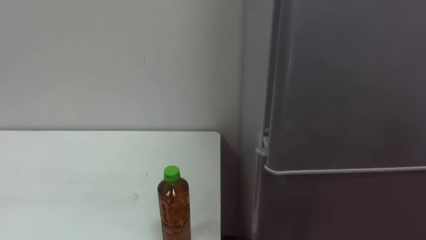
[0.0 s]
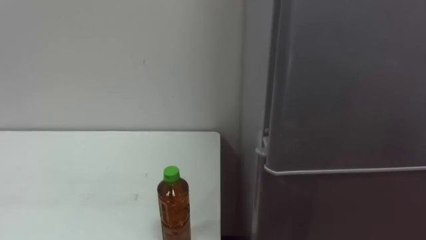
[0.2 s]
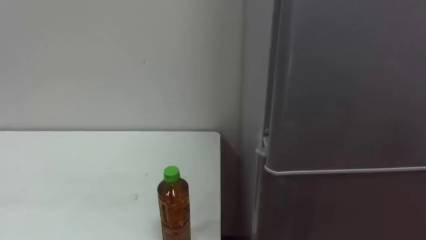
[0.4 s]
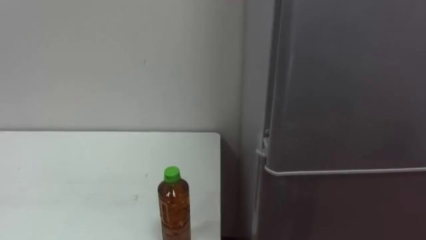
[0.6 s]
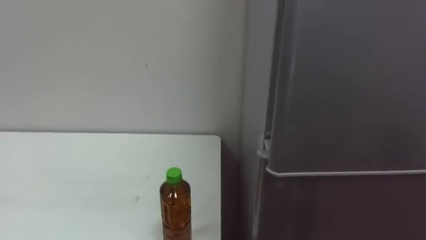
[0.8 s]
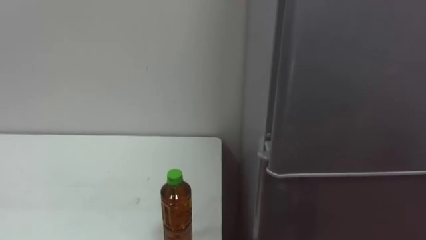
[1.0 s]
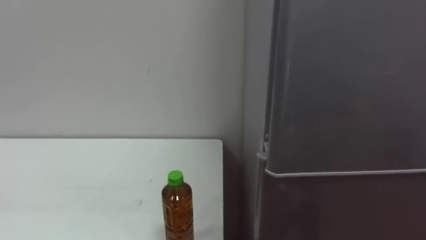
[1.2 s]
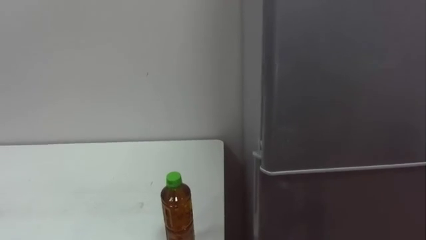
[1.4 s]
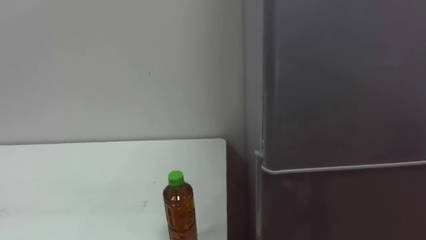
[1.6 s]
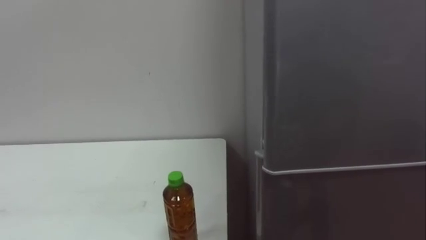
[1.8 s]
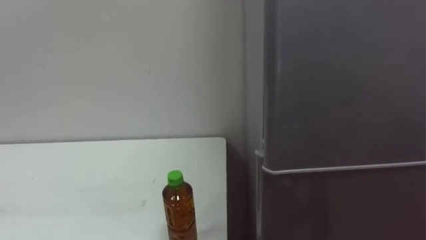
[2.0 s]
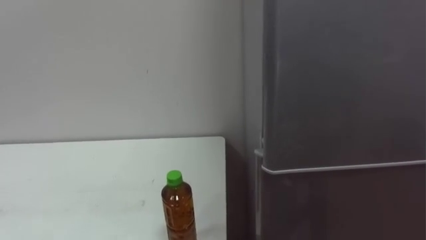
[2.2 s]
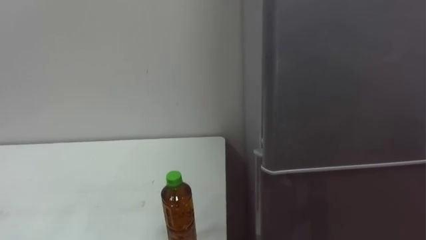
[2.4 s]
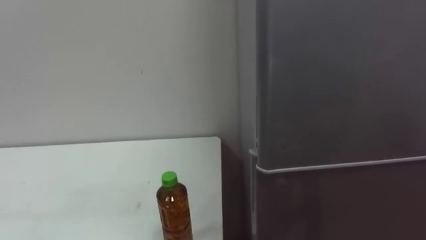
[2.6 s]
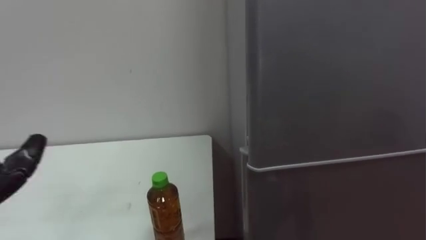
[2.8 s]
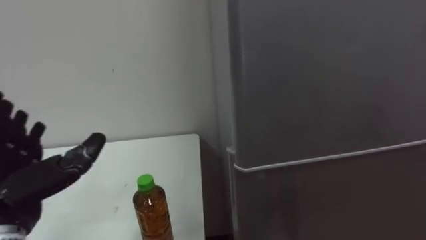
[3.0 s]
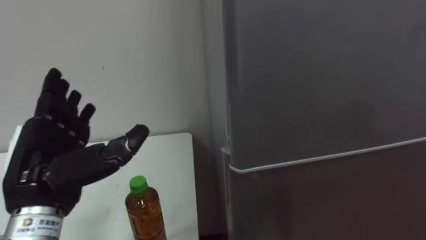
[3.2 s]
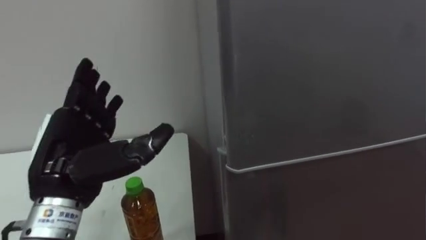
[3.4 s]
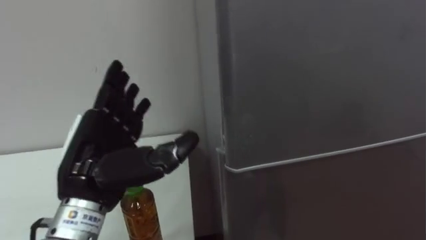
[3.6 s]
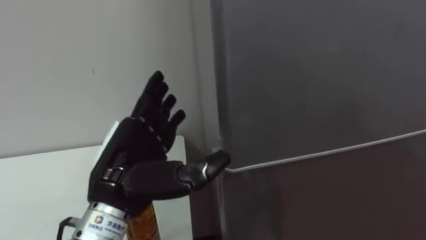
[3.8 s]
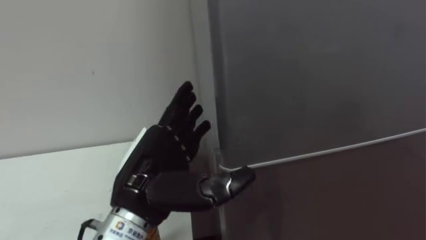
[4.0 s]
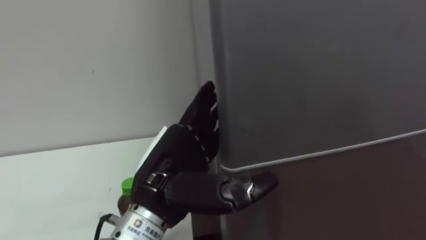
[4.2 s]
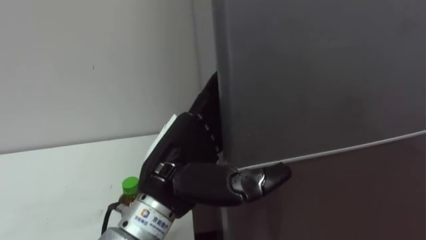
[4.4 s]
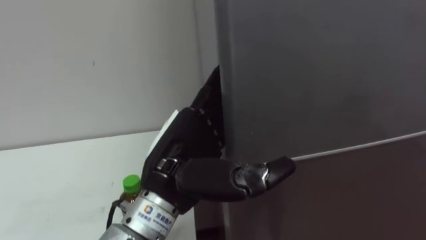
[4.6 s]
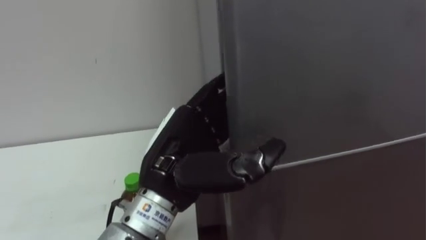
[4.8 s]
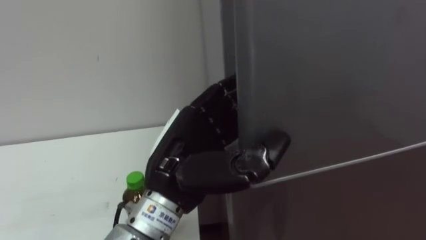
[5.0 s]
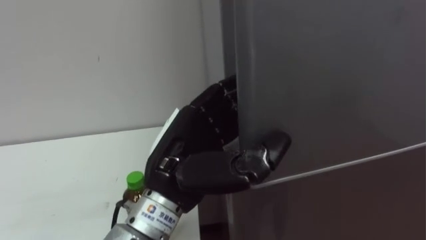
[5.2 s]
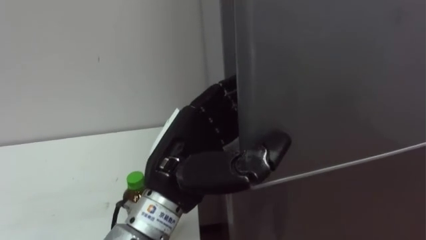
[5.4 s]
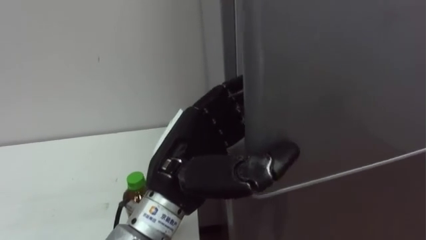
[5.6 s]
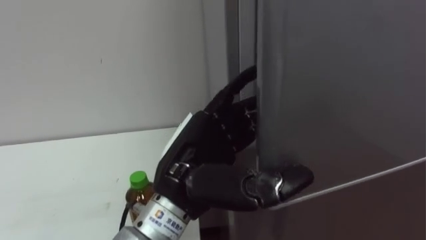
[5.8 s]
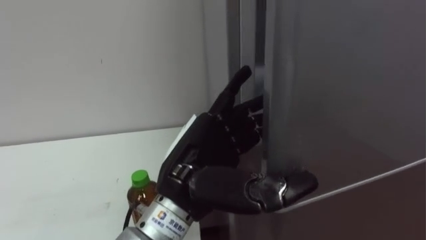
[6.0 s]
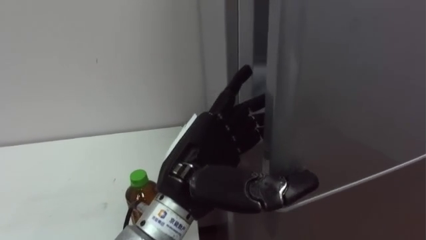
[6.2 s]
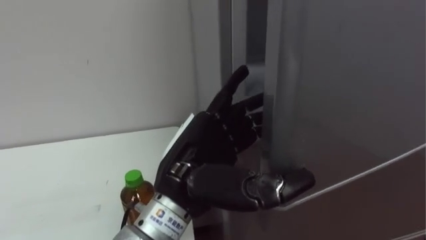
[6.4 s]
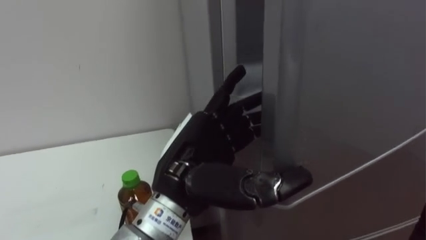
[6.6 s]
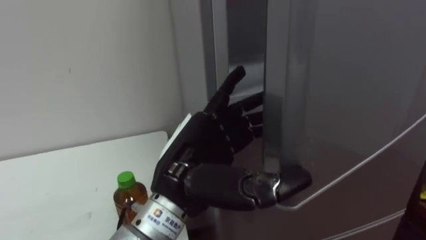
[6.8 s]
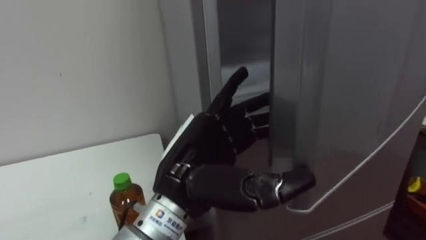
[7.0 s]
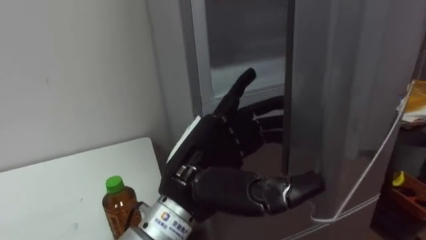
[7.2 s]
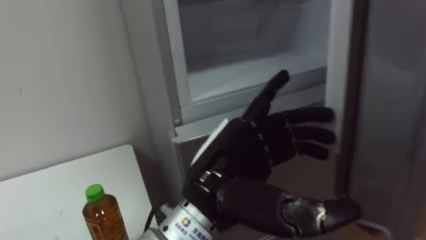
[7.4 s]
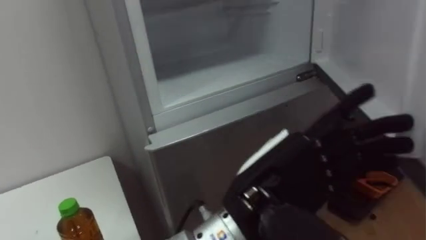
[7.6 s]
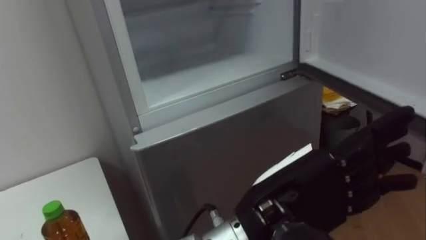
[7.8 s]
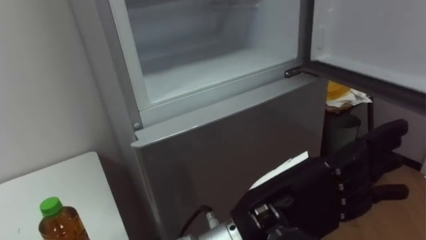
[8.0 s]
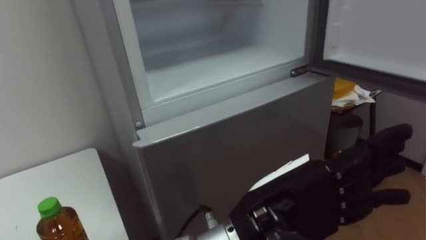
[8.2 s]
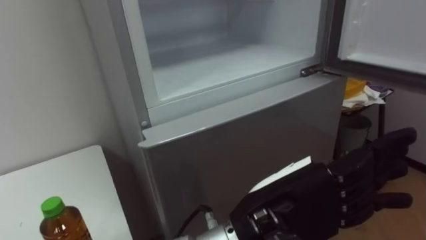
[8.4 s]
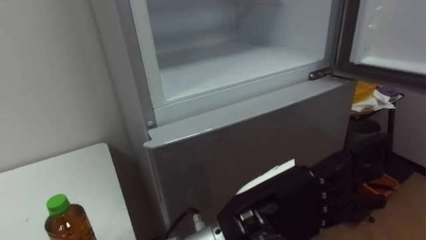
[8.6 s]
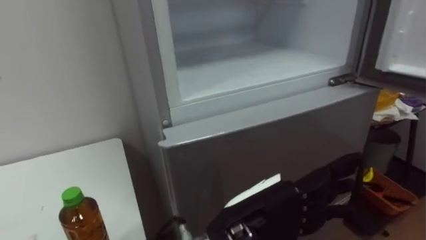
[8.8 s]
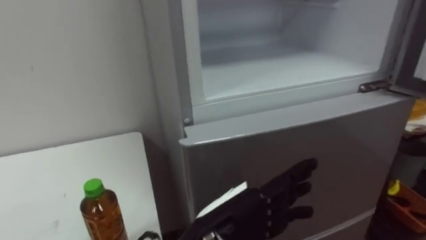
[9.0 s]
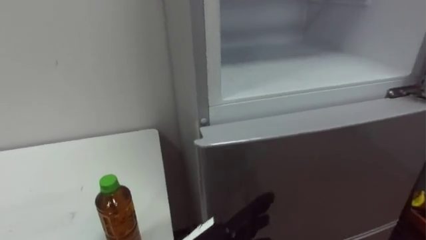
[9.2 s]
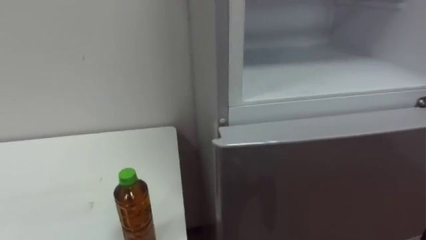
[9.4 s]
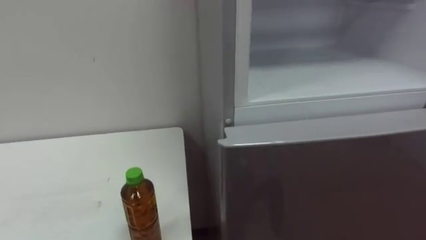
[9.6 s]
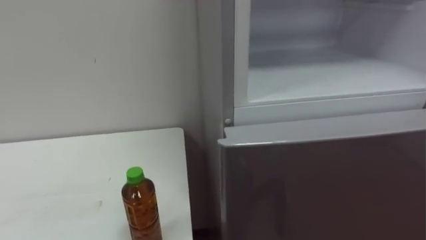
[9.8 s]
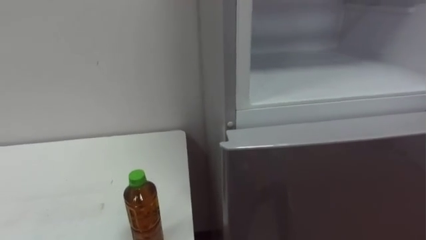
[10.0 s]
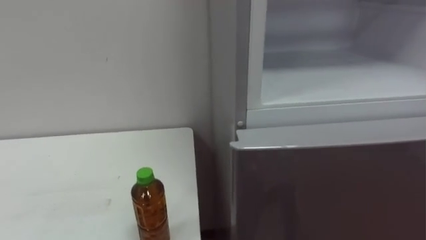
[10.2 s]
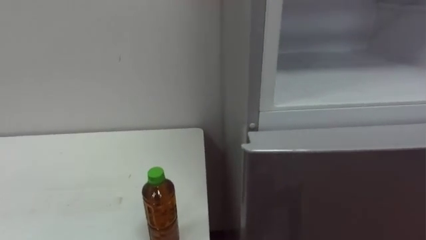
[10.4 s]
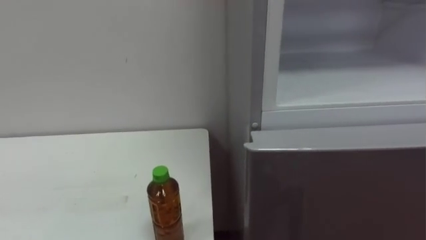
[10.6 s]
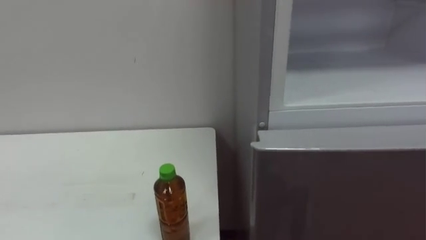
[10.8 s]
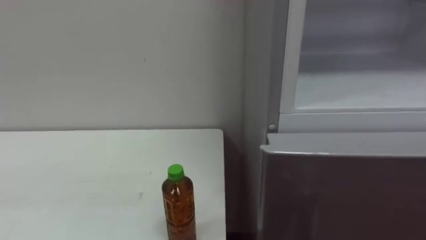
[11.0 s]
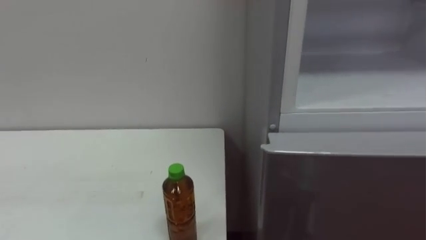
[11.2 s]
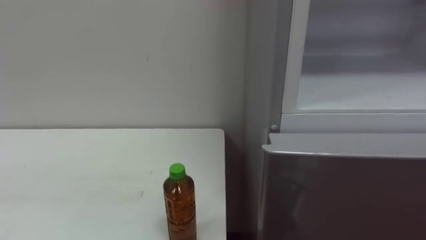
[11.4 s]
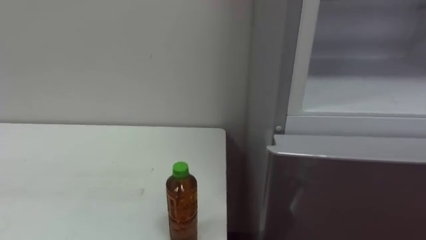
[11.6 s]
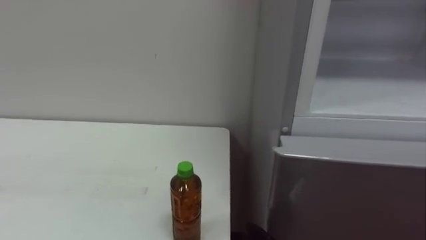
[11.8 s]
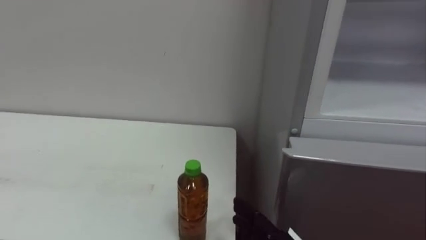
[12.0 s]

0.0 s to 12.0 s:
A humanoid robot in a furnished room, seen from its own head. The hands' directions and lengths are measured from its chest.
Task of the whole recording: Open the upper refrigerator door, put the drink from the table into the refrigerator, and then close the refrigerator door.
4.4 to 6.0 s: The left hand closes, then reopens.
6.0 to 7.6 s: The left hand goes roughly 5 cm to the right.
7.6 to 9.0 s: The left hand travels downward by about 10 cm.

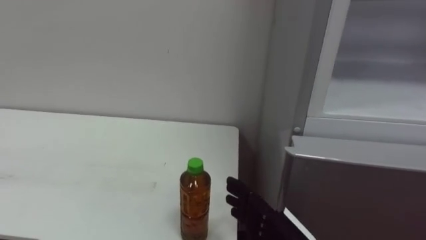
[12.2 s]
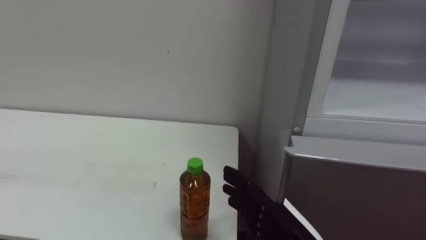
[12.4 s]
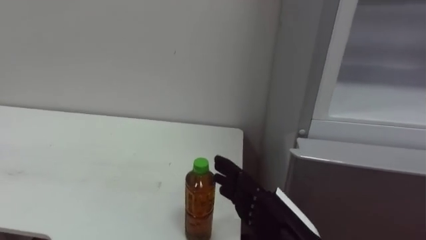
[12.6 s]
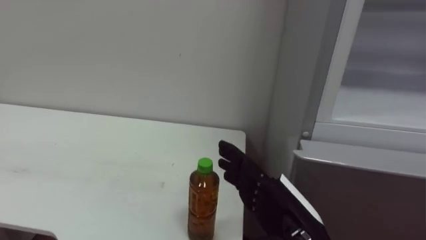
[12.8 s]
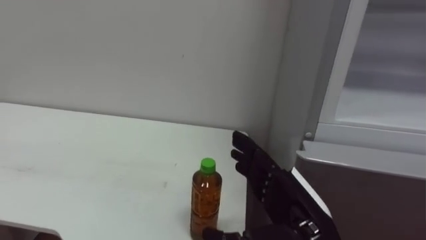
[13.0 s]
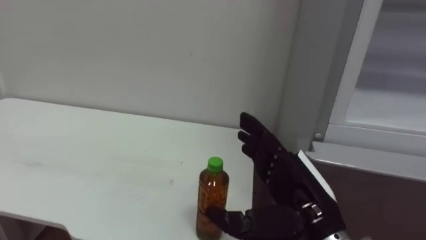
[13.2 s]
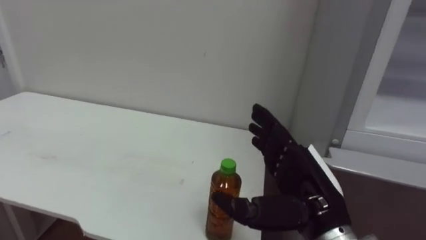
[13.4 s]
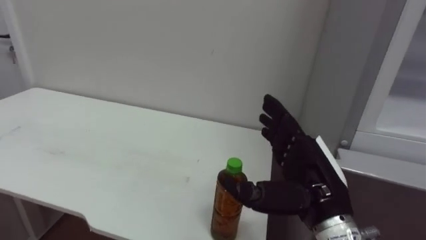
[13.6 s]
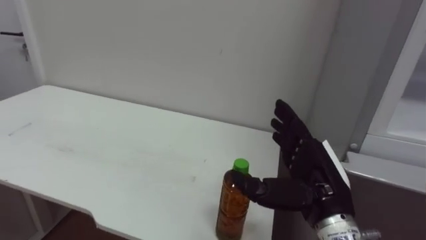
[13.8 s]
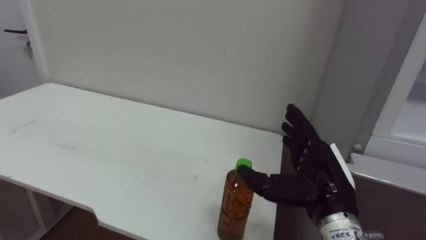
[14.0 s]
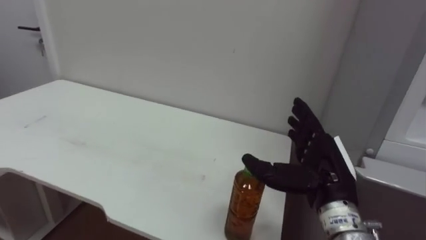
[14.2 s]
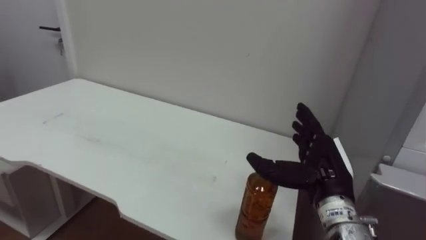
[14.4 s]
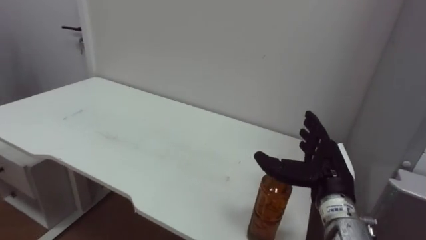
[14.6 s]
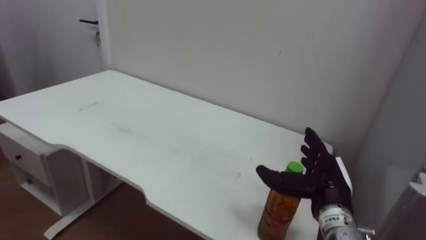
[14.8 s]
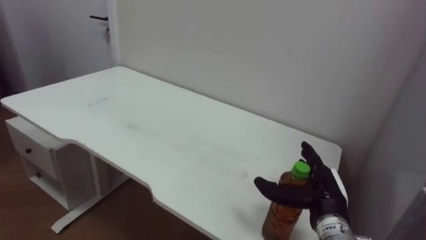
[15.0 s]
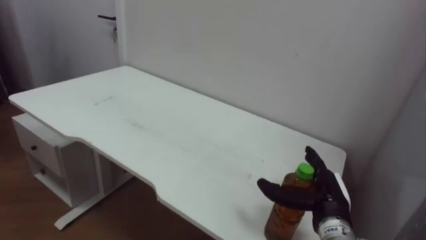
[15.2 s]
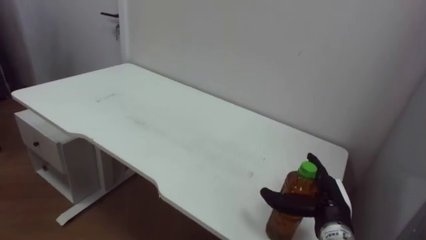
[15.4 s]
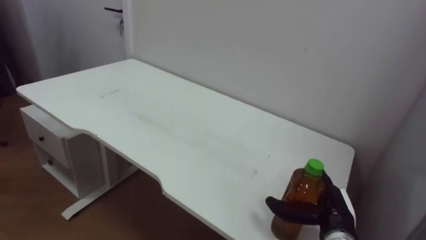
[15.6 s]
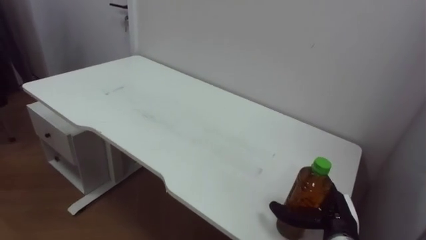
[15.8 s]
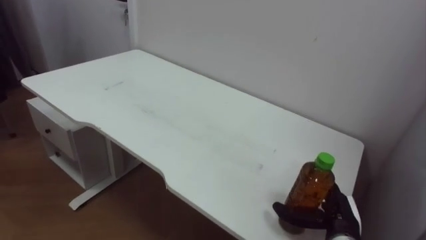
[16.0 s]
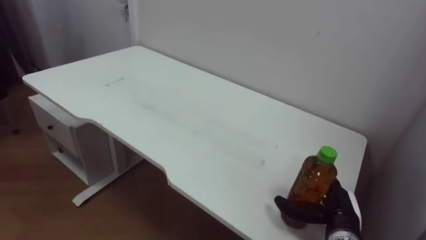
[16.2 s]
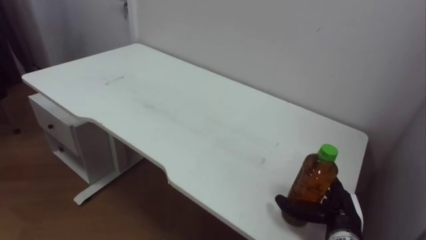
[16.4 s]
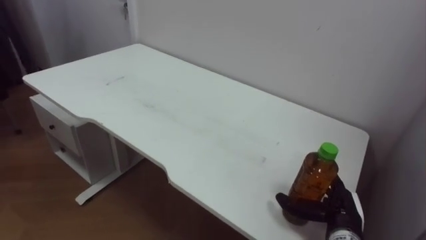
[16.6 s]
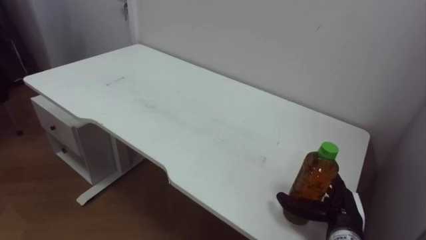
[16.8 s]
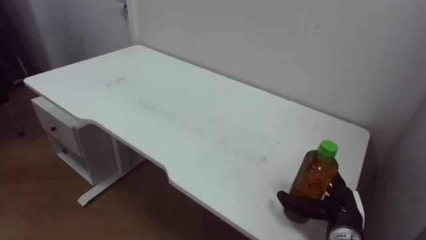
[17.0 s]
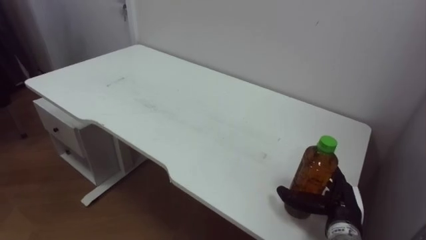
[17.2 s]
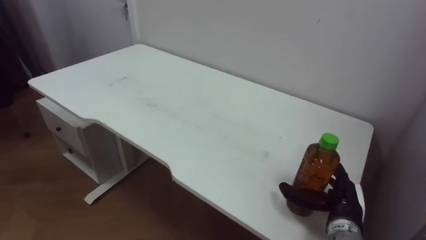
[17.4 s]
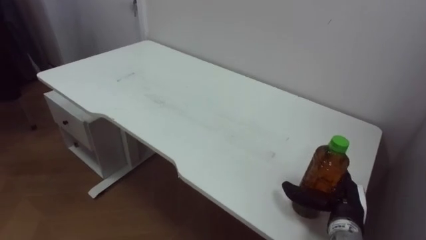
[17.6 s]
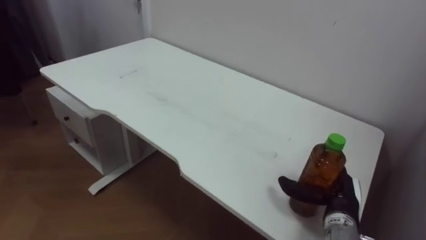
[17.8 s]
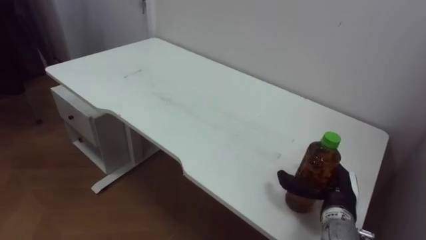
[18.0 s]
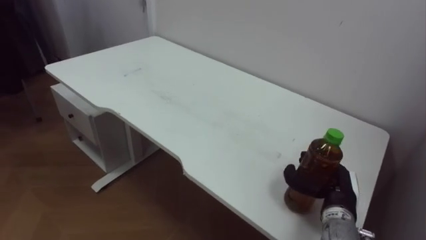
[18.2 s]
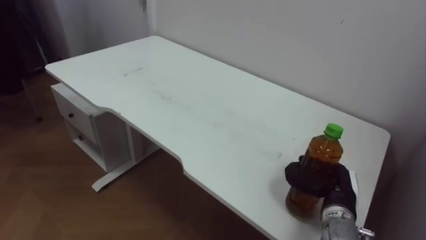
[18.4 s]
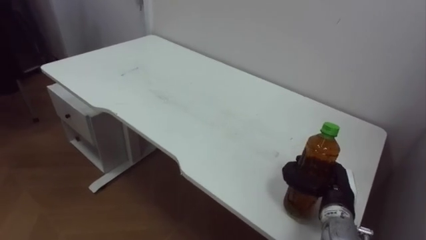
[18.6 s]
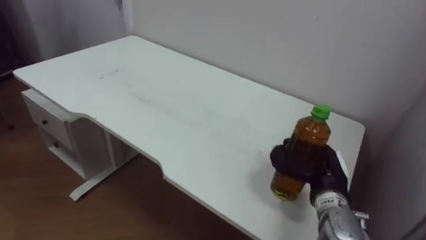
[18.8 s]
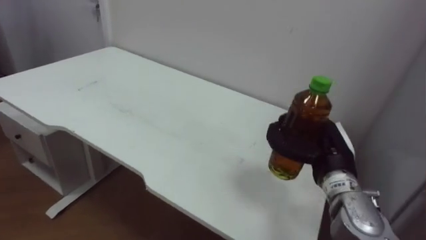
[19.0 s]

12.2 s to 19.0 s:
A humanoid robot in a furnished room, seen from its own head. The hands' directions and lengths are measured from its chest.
Task of the whole recording: Open the upper refrigerator door, put the drink from the table into the refrigerator, and then close the refrigerator door.
13.6 to 15.0 s: The right hand is displaced downward, forward and to the right by about 15 cm.
15.0 to 16.2 s: The right hand travels downward by approximately 5 cm.
17.6 to 19.0 s: The right hand is displaced upward by approximately 10 cm, and closes.
